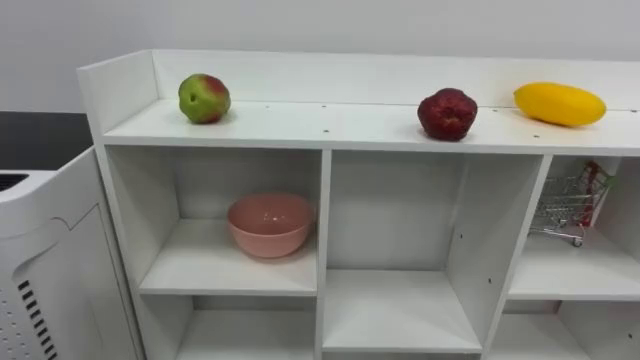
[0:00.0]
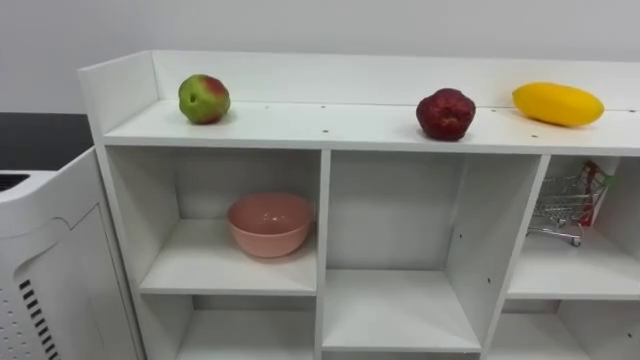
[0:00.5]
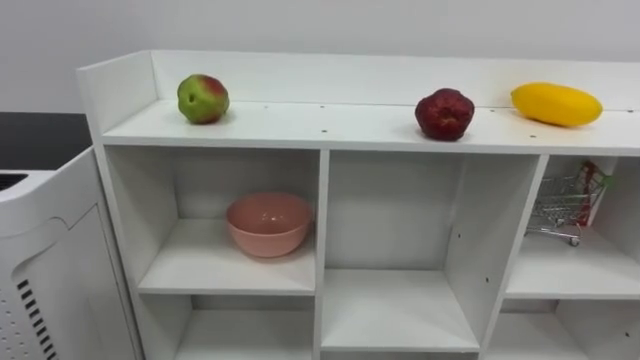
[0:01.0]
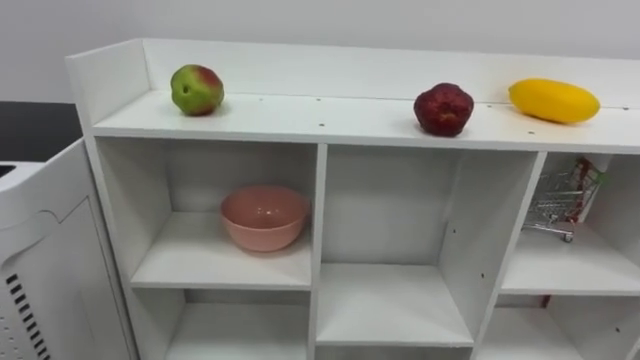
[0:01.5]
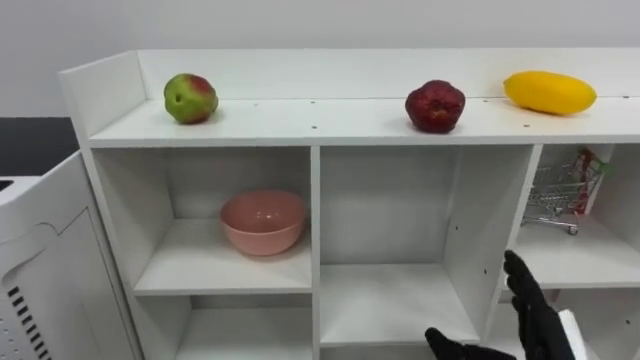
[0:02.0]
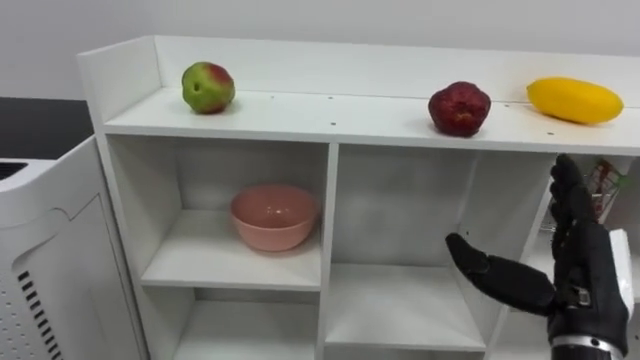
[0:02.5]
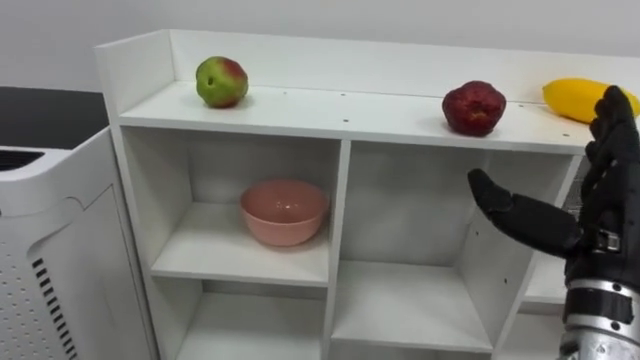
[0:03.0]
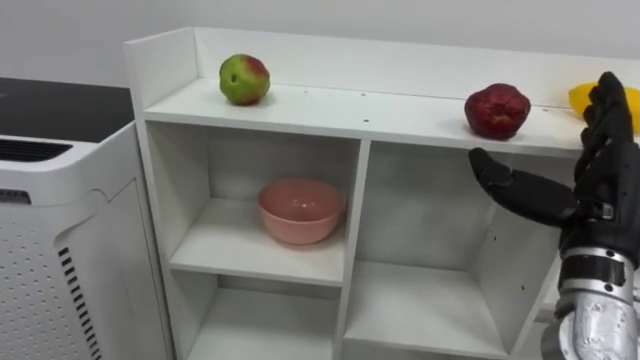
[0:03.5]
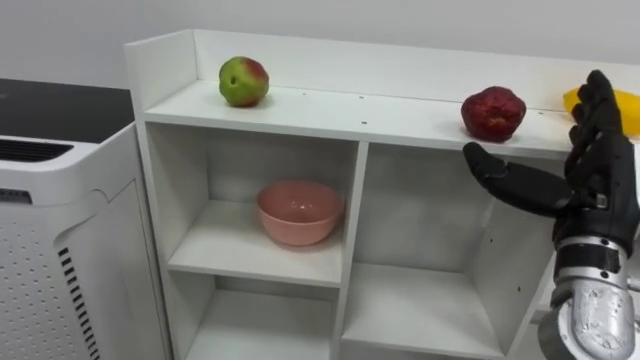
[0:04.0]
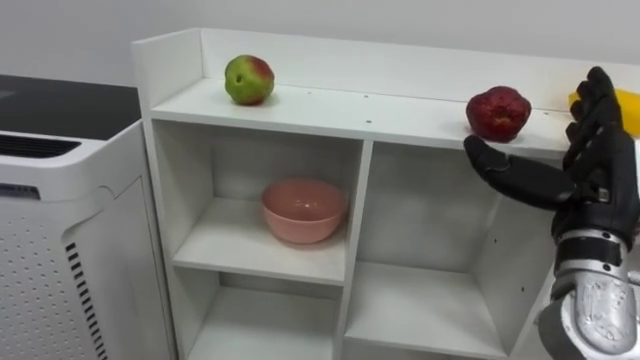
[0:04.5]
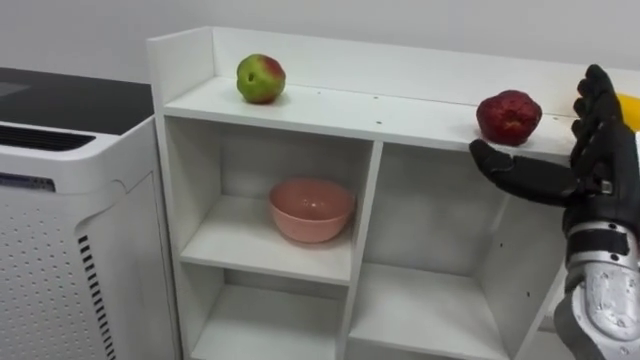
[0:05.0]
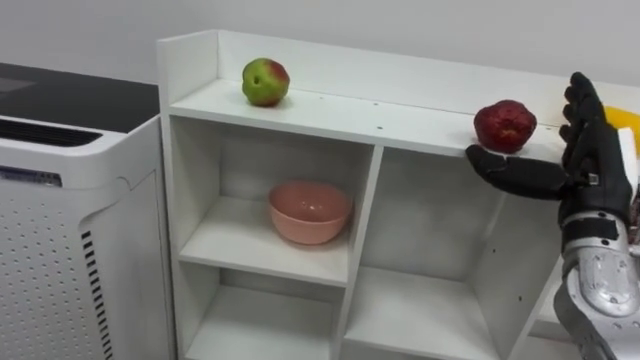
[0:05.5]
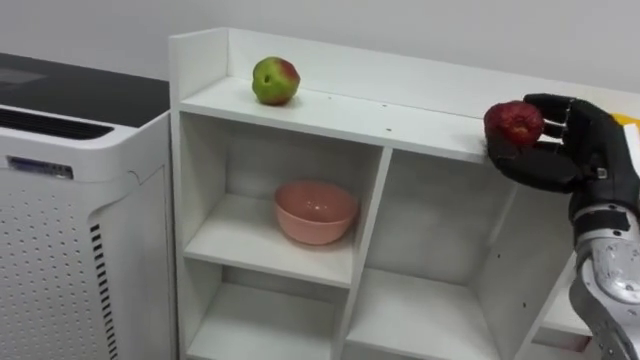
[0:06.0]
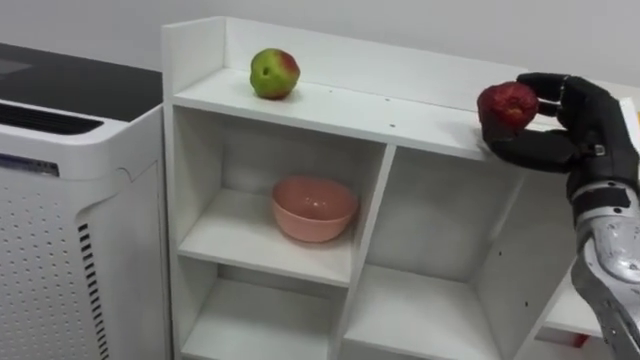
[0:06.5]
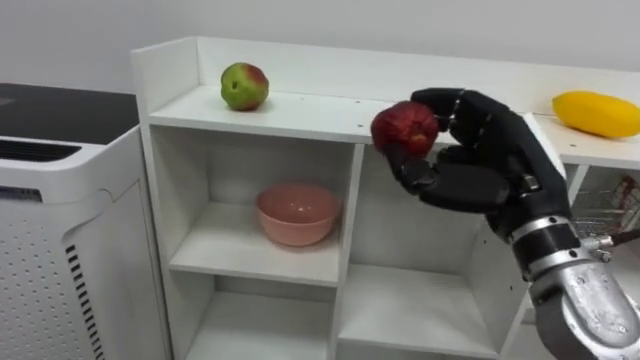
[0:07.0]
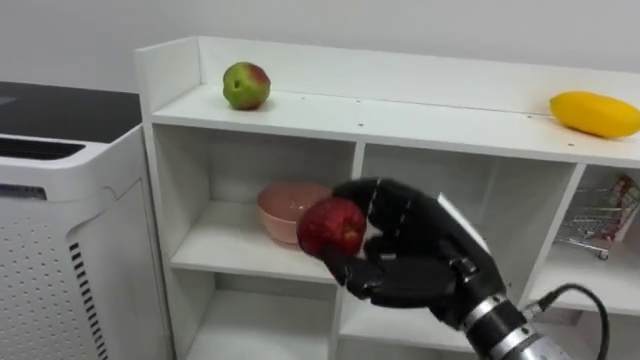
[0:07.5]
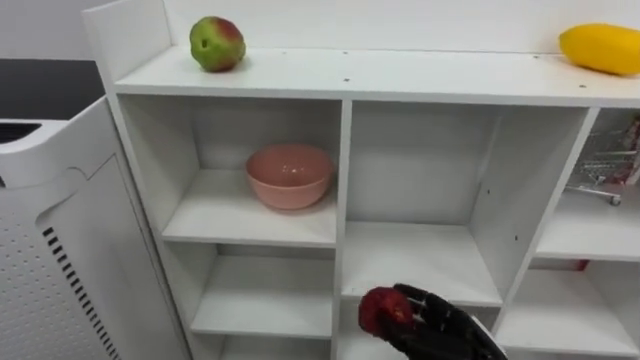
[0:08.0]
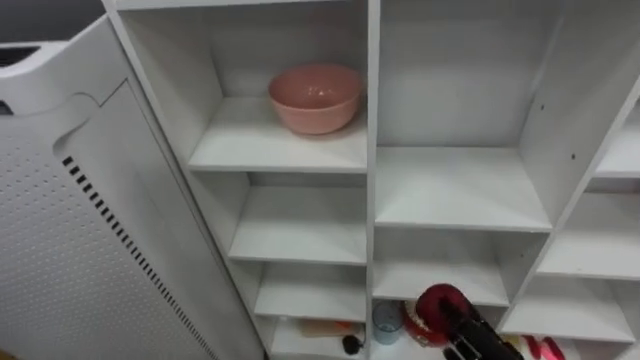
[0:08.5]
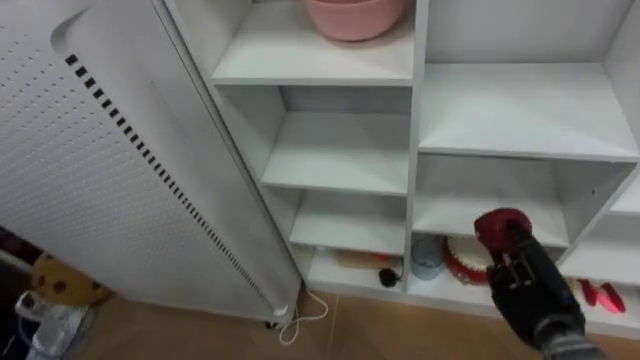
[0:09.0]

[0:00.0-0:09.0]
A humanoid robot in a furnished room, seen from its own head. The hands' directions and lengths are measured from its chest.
Task of the whole recording: Put the apple in the cell in the second column from the left and the second row from the top.
0:04.5 to 0:07.0: The right hand is displaced to the left by roughly 5 cm, and closes its fingers.

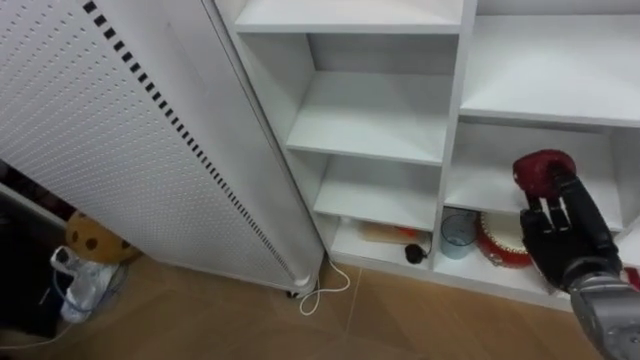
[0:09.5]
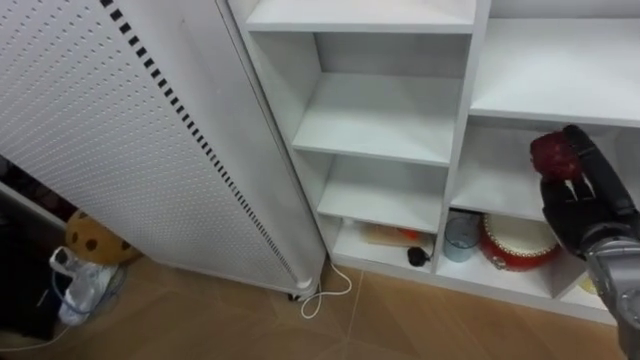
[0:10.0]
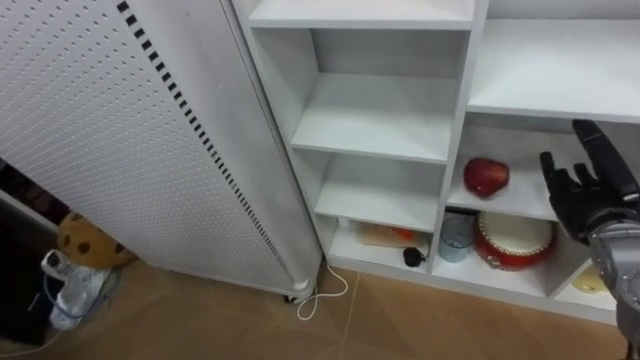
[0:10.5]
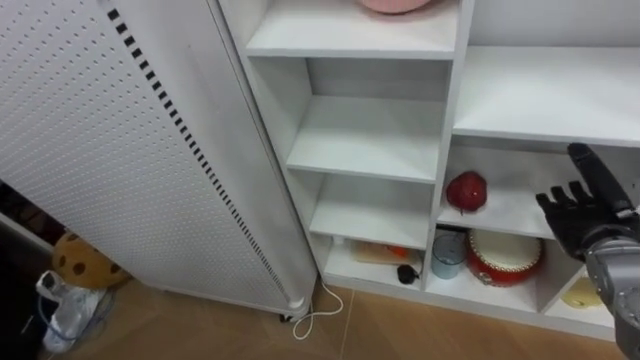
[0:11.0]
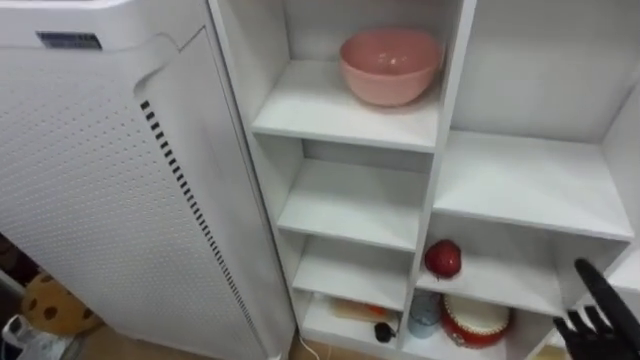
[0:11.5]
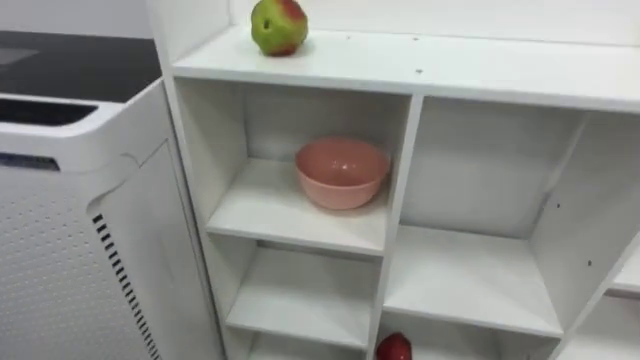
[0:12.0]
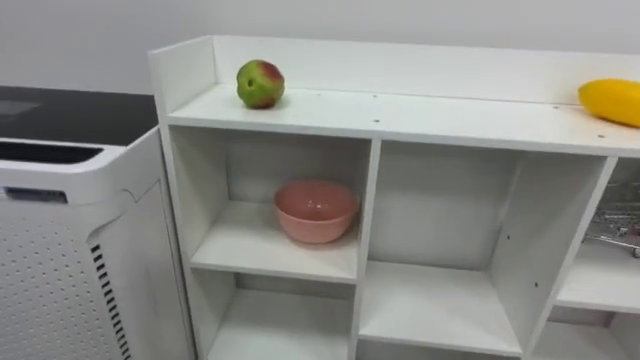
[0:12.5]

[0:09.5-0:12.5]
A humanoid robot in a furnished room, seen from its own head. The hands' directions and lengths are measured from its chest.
Task of the whole recording: Put the apple in the cell in the second column from the left and the second row from the top.
0:09.5 to 0:11.0: The right hand opens its fingers.

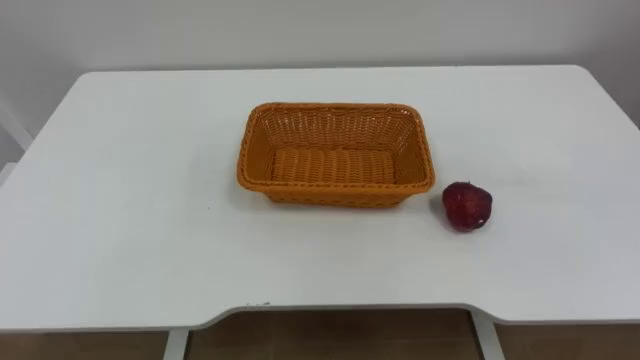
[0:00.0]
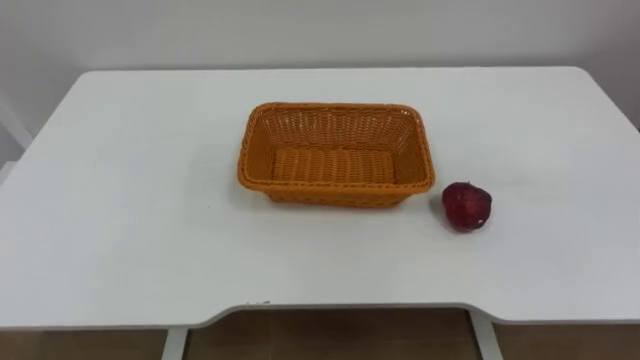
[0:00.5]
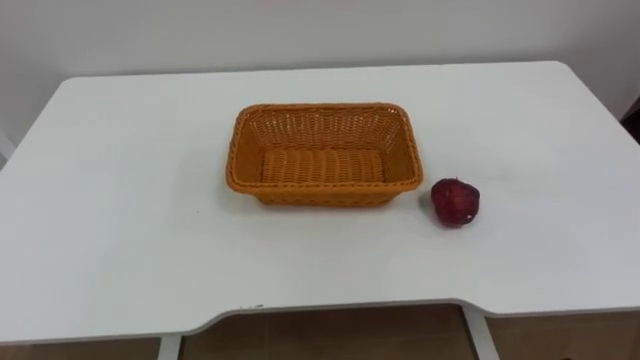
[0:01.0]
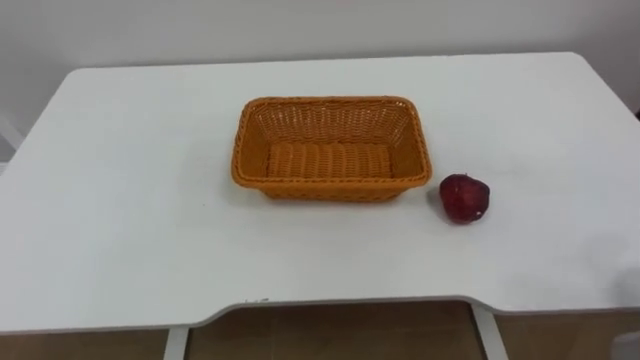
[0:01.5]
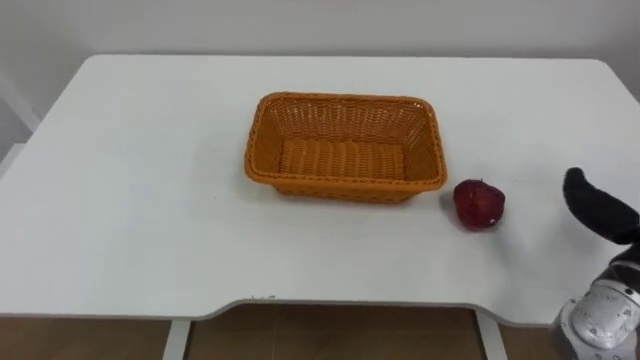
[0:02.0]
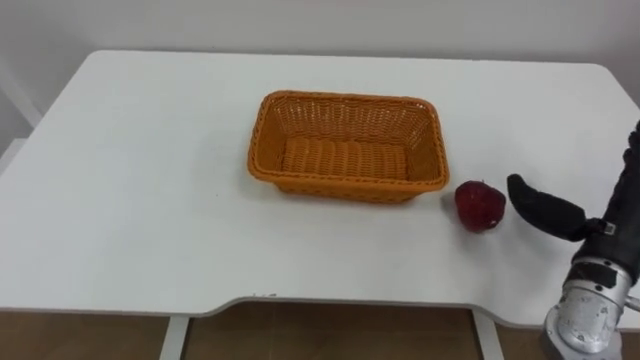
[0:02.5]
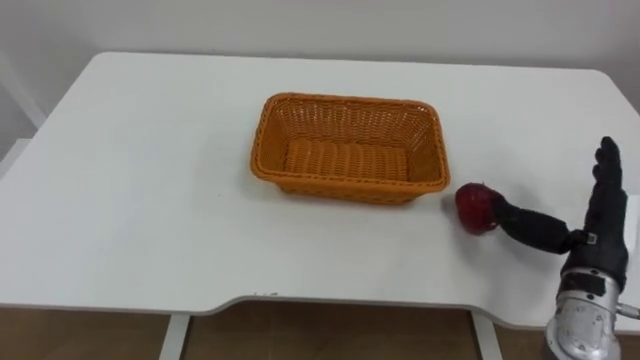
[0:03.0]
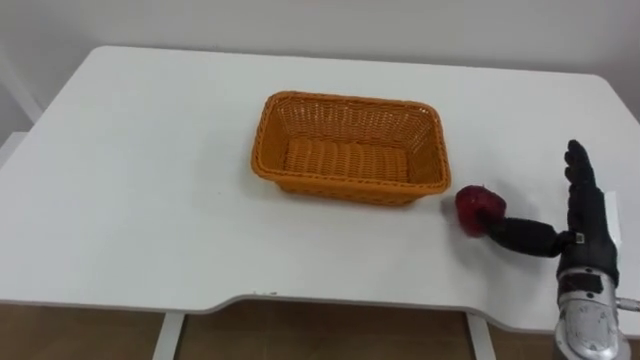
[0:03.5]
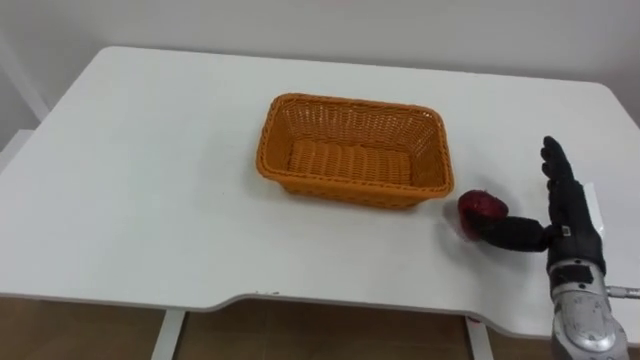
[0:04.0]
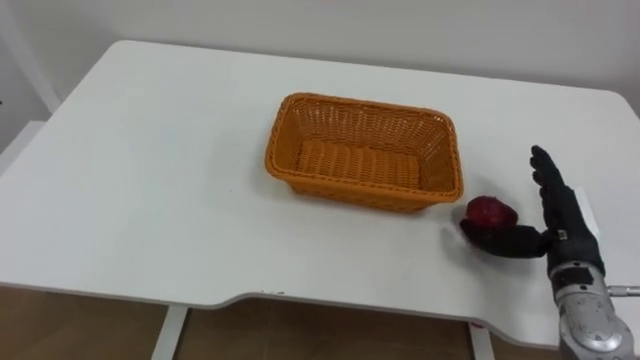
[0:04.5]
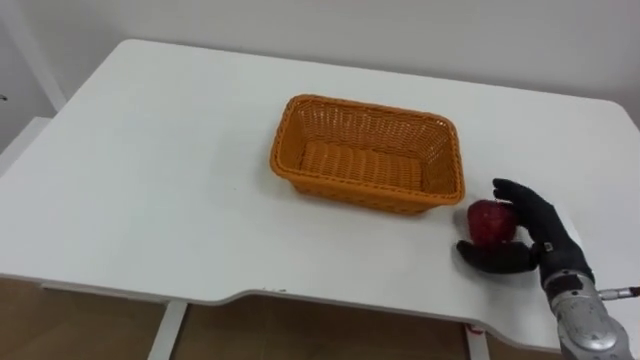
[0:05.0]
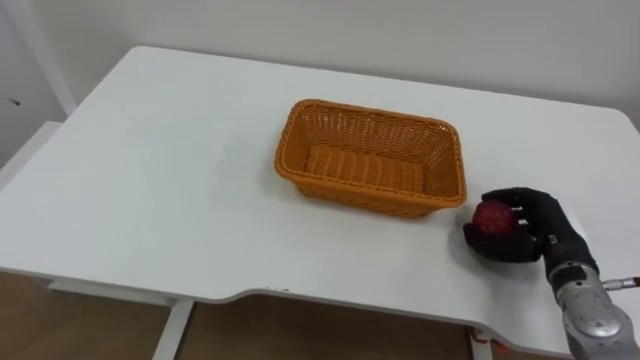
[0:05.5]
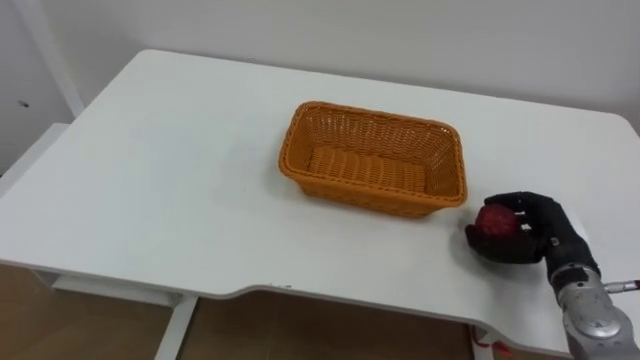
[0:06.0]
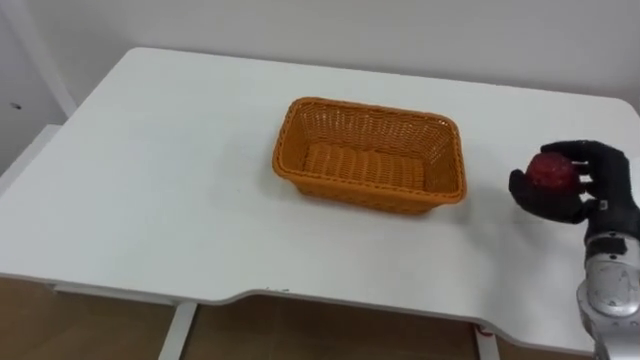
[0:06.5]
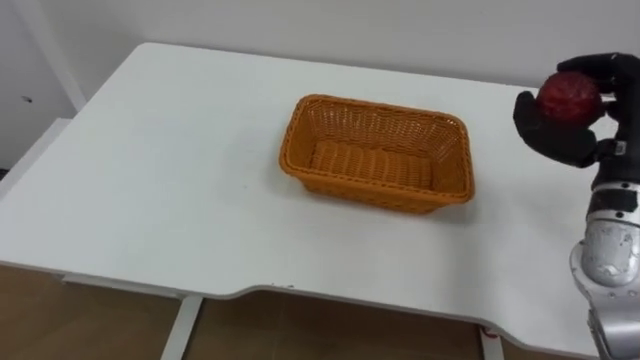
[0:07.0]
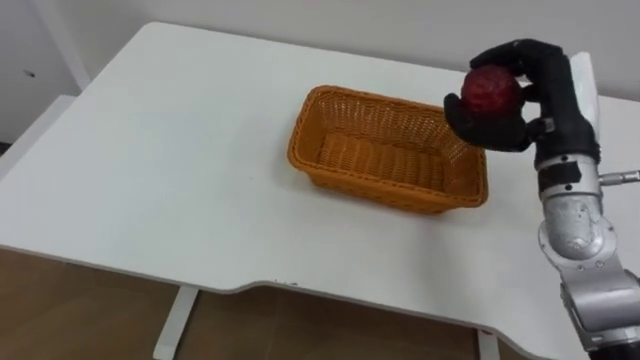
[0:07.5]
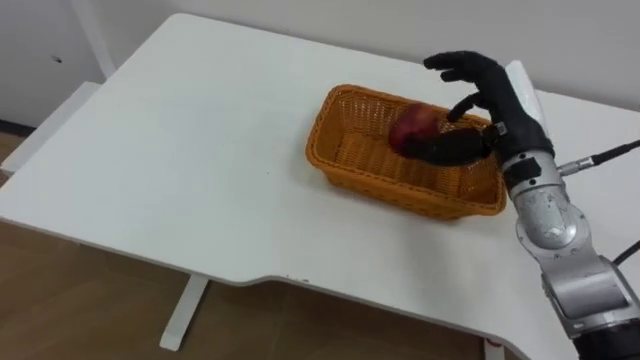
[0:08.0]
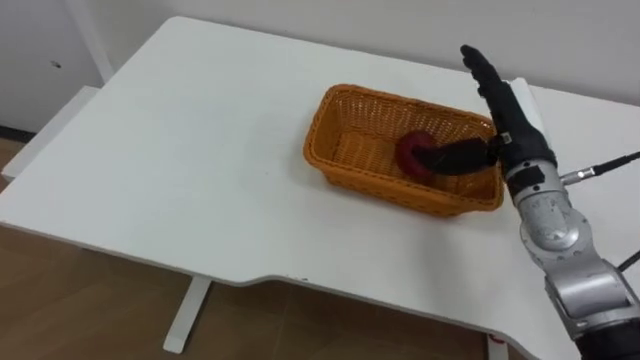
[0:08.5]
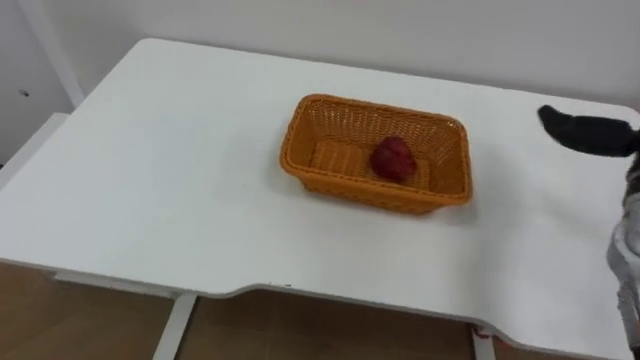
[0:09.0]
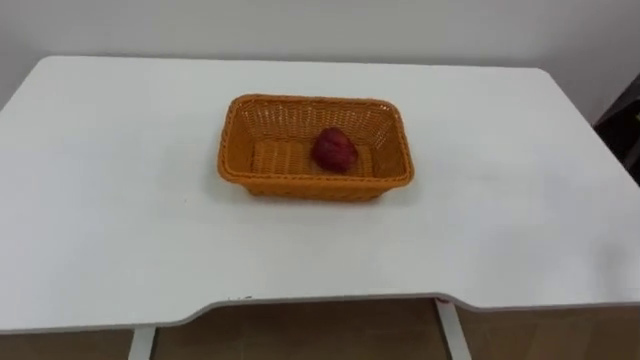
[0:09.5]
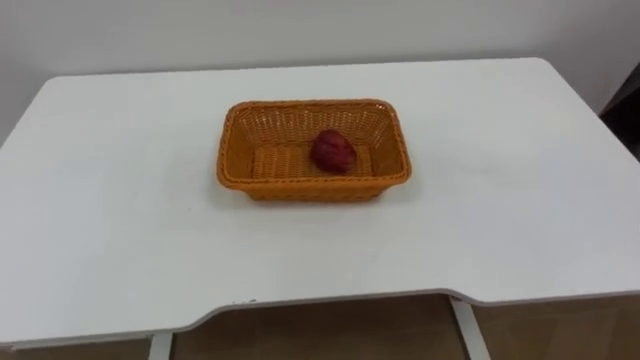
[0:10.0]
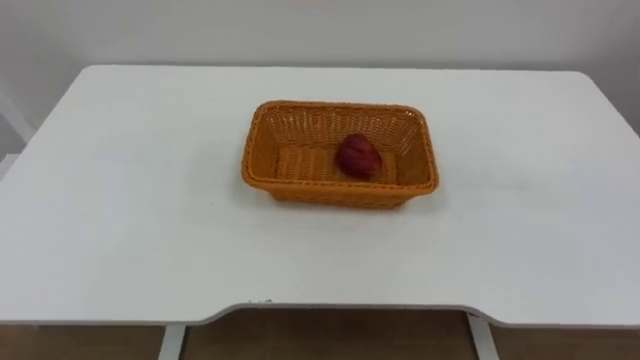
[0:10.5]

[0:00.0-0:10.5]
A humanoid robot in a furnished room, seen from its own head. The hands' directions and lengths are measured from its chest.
Task of the whole recording: Pick the apple and place it in the box.
0:04.0 to 0:06.5: The right hand changes place by approximately 5 cm, and closes.
0:06.5 to 0:08.5: The right hand travels to the left, forward and upward by about 15 cm, and opens up.
